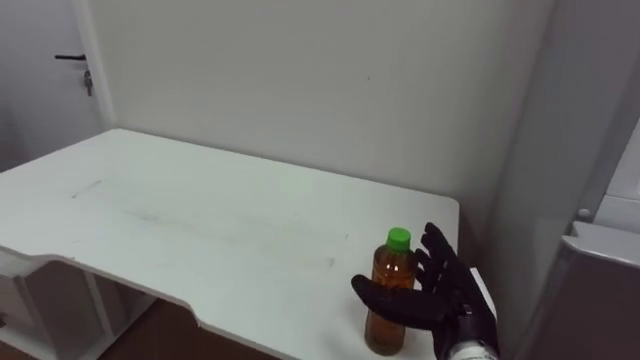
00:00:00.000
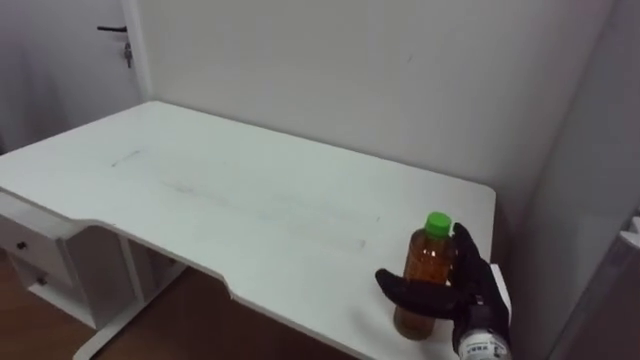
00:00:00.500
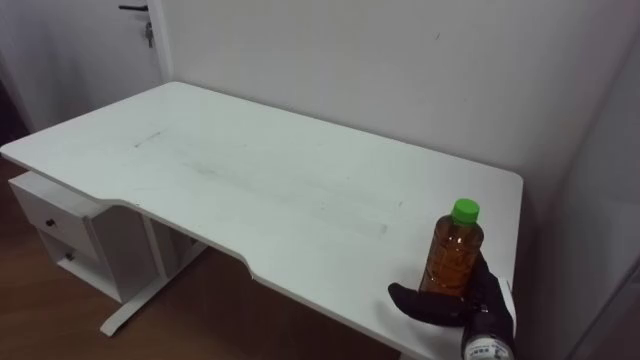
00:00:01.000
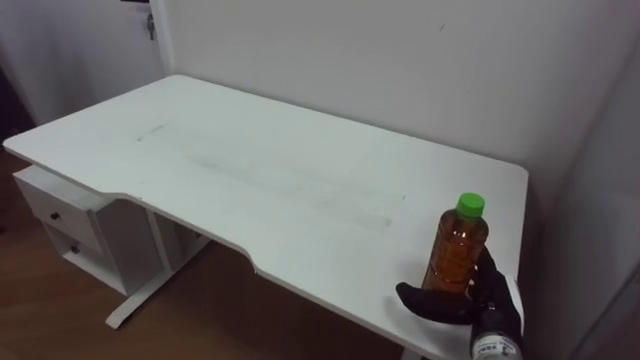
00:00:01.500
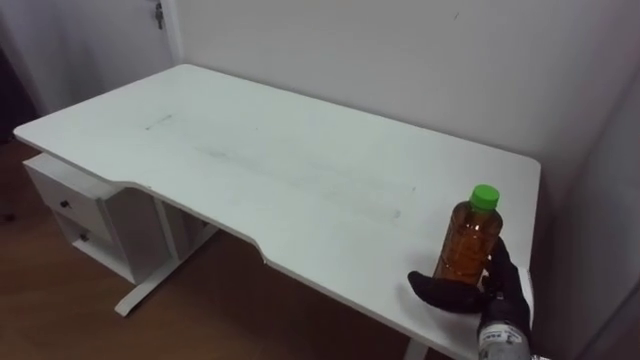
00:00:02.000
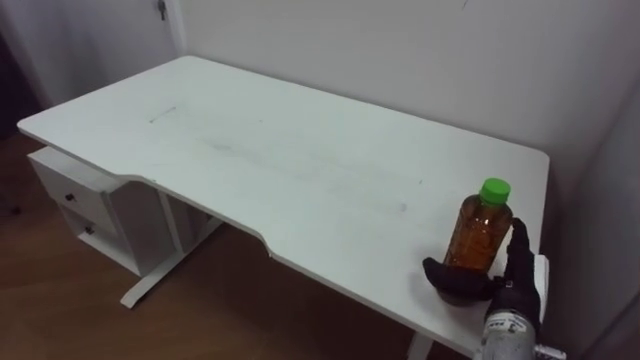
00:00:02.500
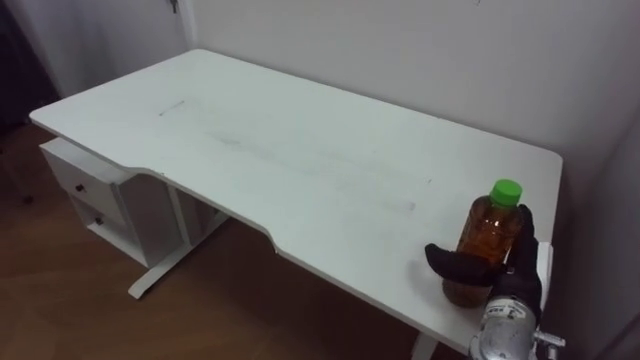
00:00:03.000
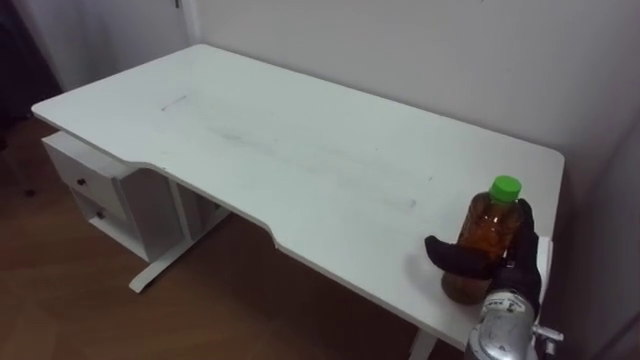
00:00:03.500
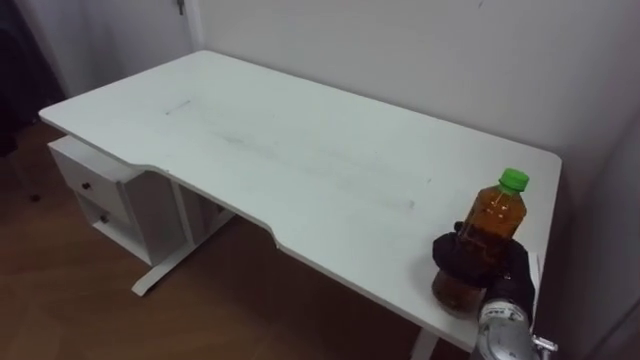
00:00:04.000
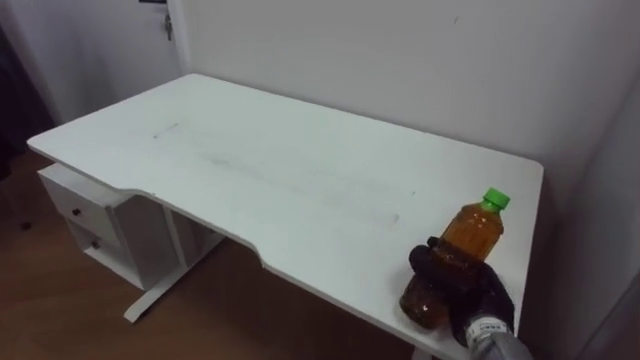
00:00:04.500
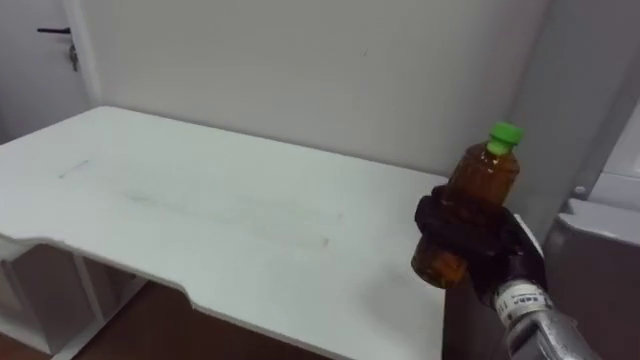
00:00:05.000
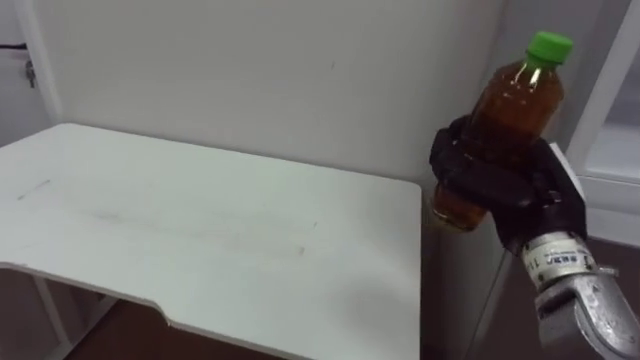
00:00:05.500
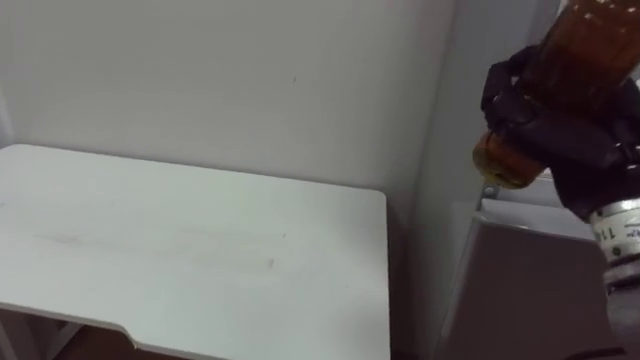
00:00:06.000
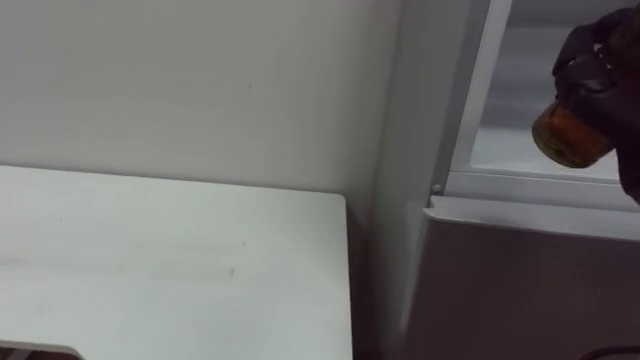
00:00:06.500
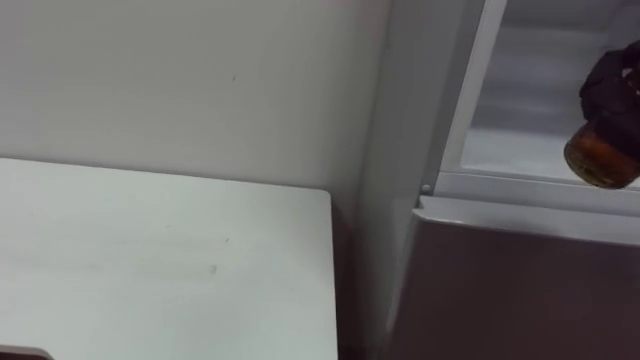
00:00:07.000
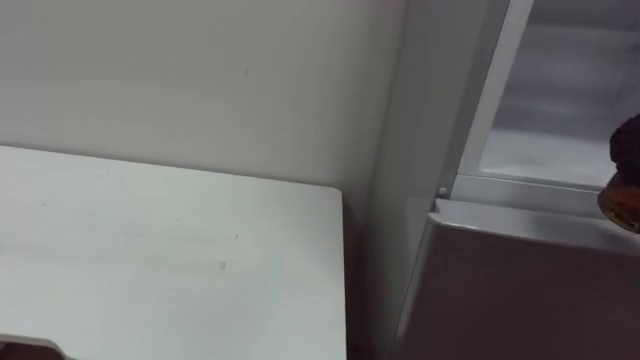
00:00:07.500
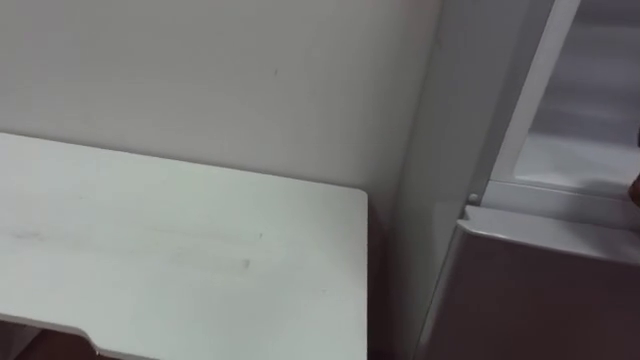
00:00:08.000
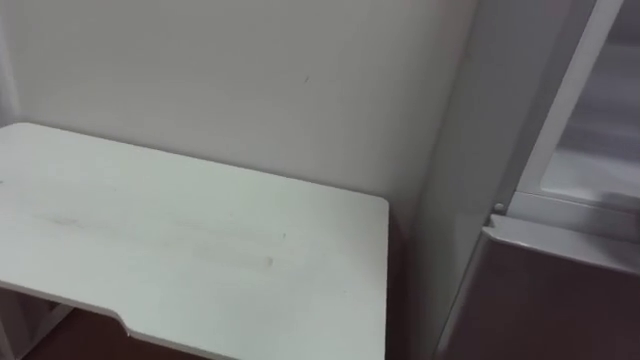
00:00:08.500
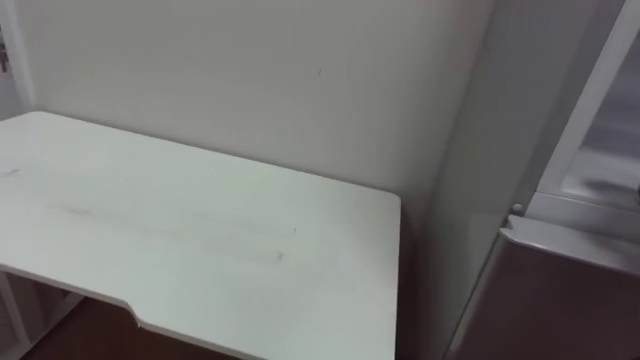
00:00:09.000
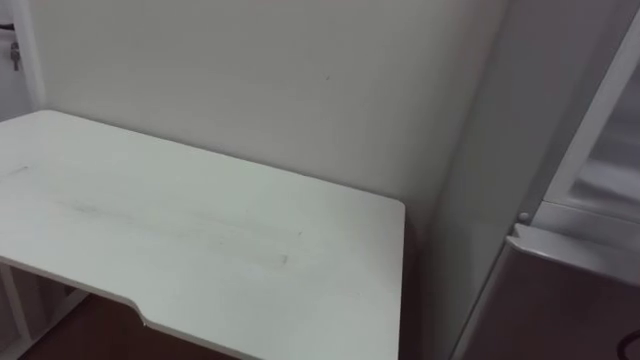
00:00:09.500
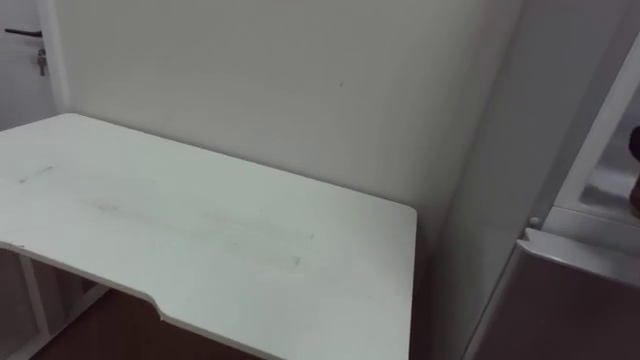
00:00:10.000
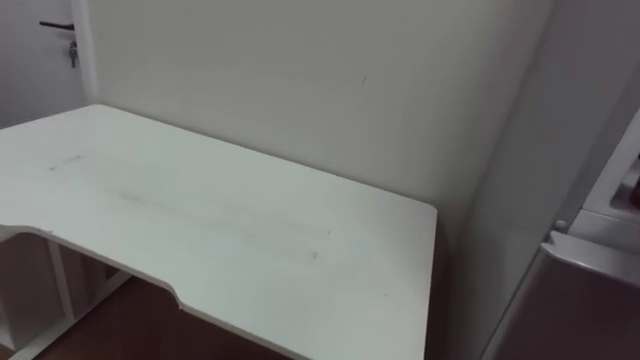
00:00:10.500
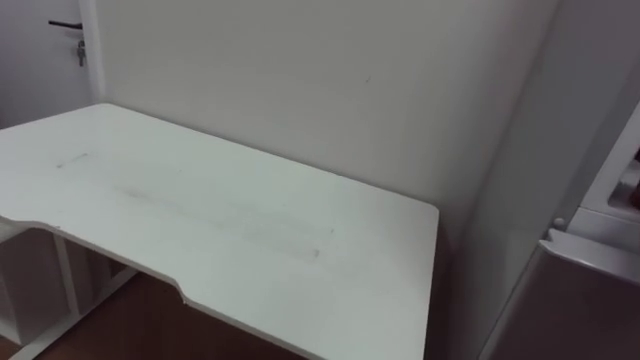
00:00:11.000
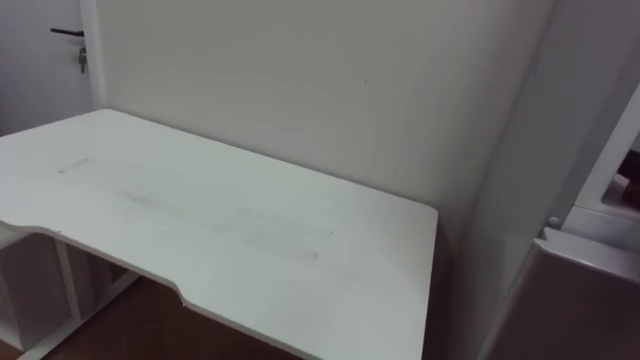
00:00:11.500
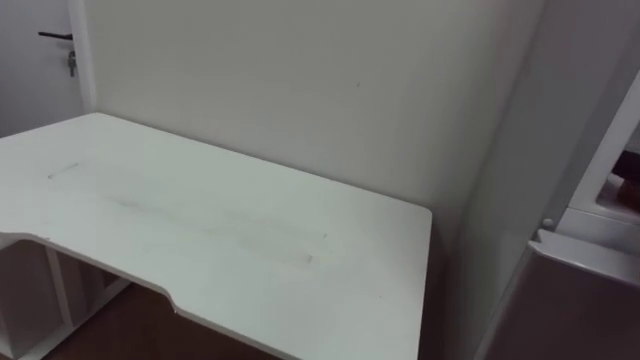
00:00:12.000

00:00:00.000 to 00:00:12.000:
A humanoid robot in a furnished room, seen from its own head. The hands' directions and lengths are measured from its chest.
Task of the whole recording: Open the upper refrigerator door, put the drink from the table into the refrigerator, and then close the refrigerator door.
00:00:00.000 to 00:00:02.000: The right hand heads to the right, covering roughly 5 cm.
00:00:02.000 to 00:00:04.000: The right hand closes its fingers.
00:00:04.000 to 00:00:06.000: The right hand goes about 20 cm upward.
